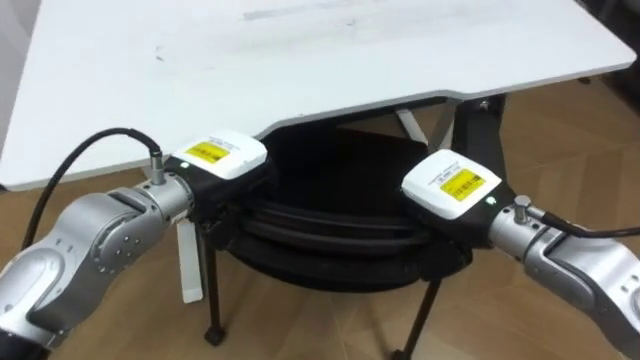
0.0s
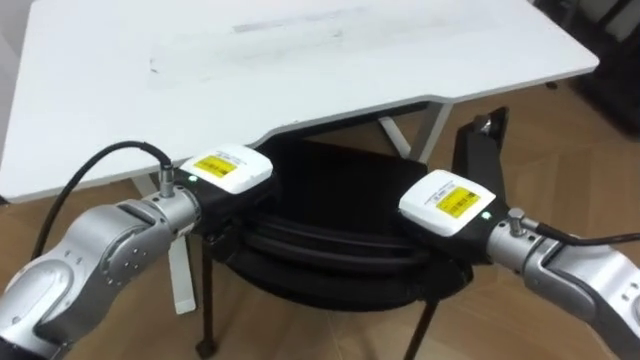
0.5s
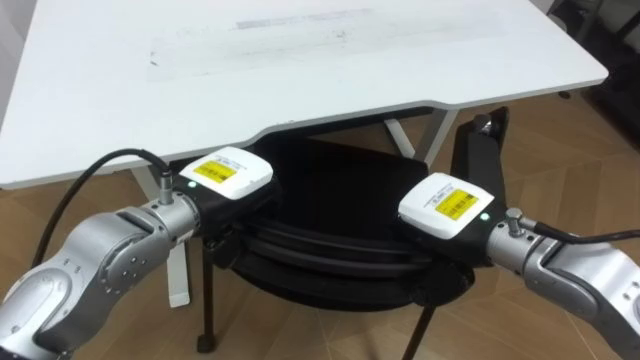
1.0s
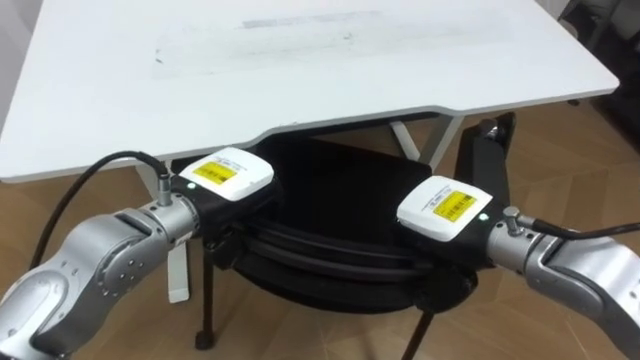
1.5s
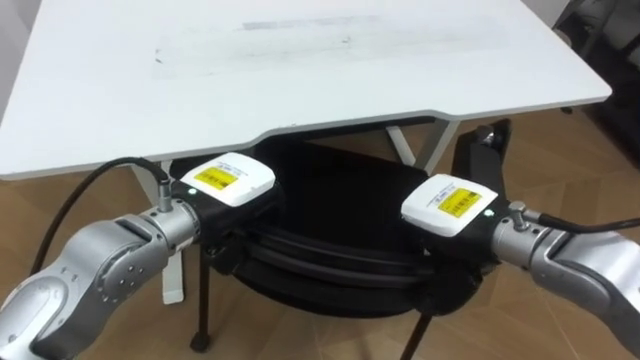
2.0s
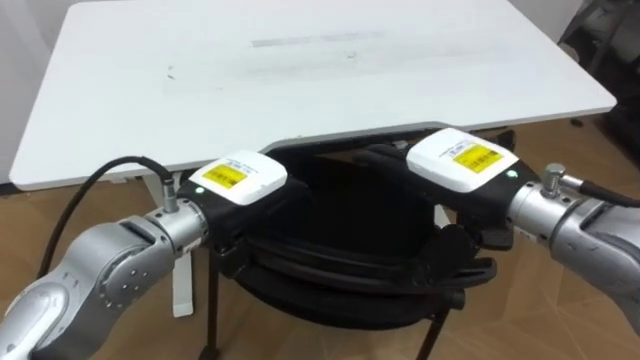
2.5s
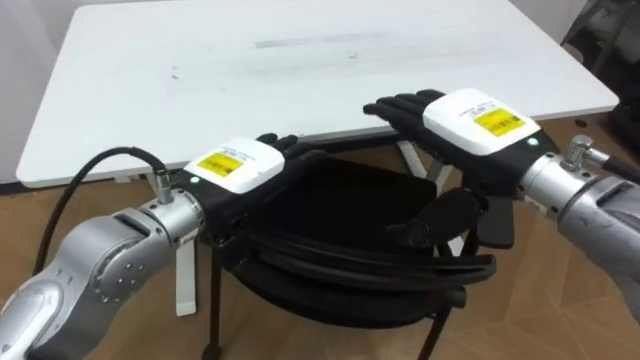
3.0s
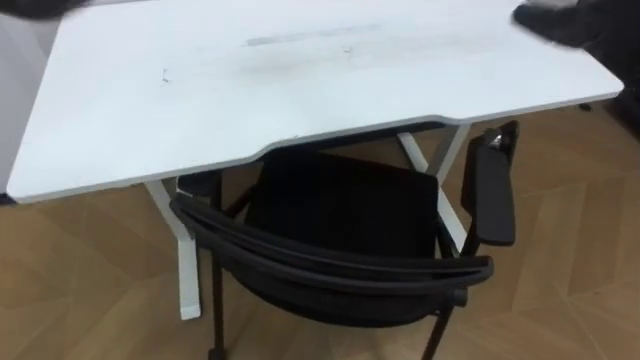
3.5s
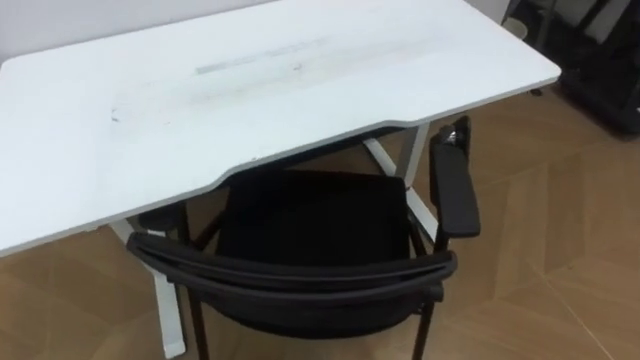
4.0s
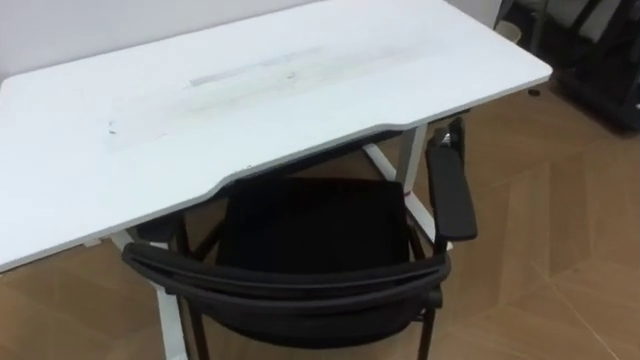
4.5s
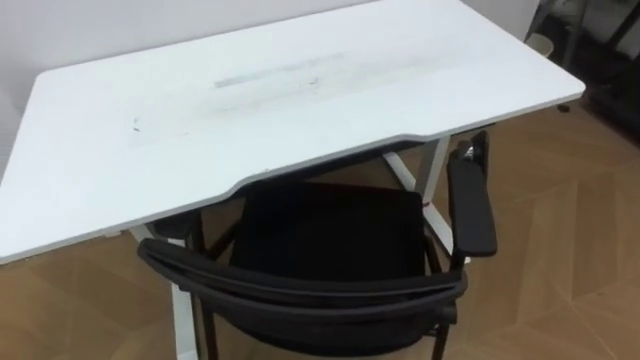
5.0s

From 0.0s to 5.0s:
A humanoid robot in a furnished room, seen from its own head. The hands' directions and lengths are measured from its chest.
Task of the whole recording: Push the chair under the table.
From 0.0s to 2.5s: The right hand opens its fingers; the left hand opens.

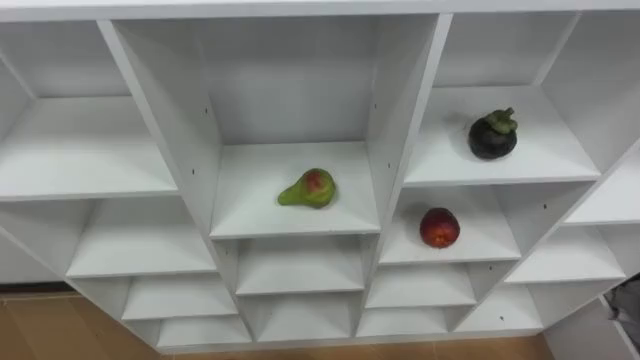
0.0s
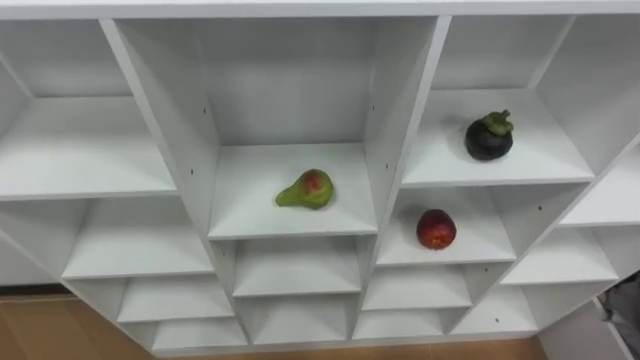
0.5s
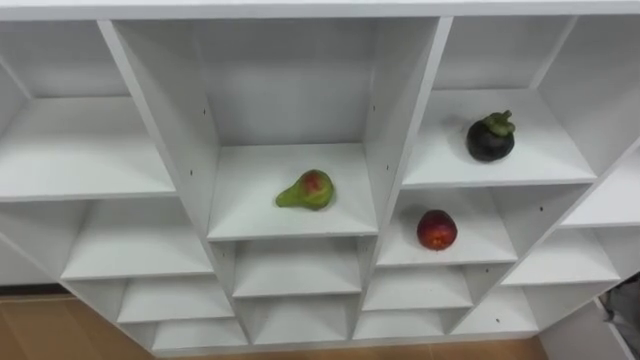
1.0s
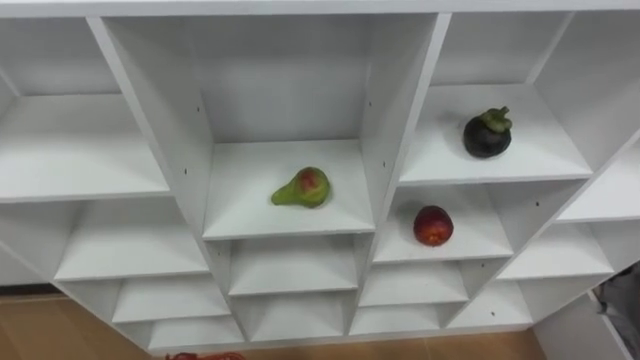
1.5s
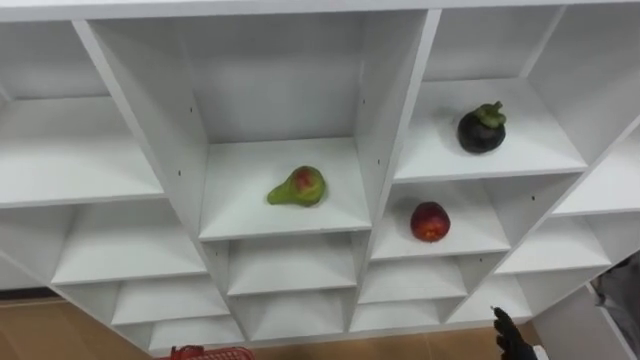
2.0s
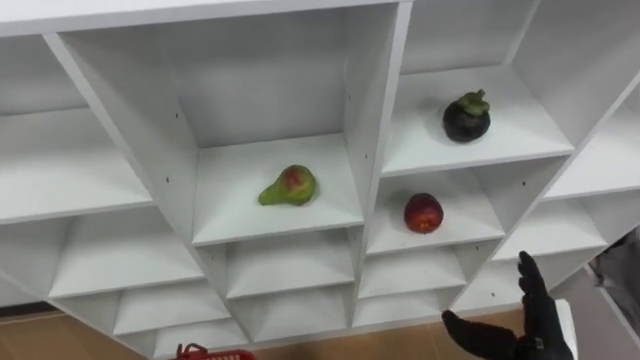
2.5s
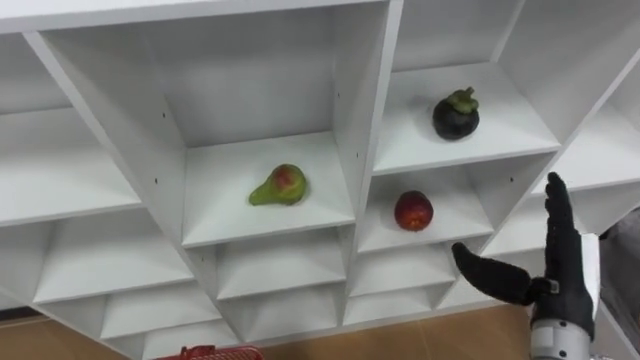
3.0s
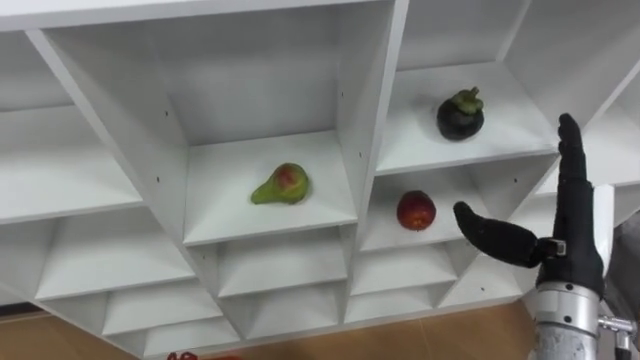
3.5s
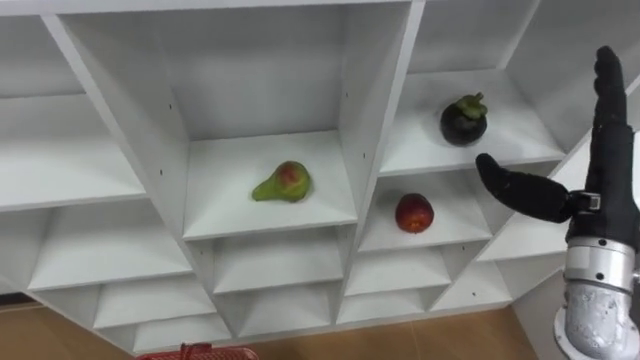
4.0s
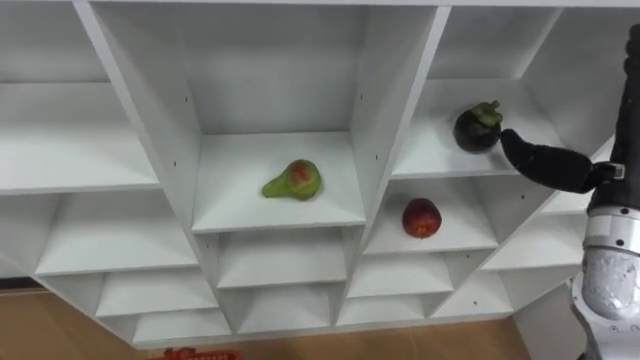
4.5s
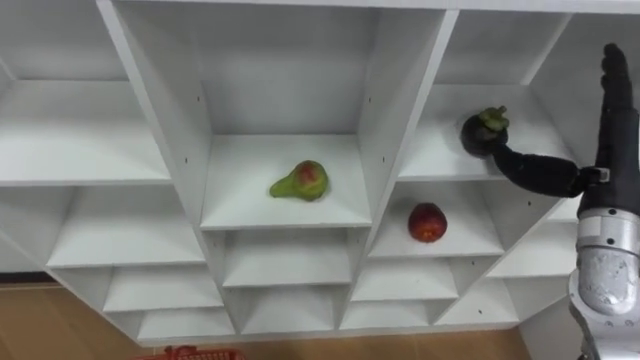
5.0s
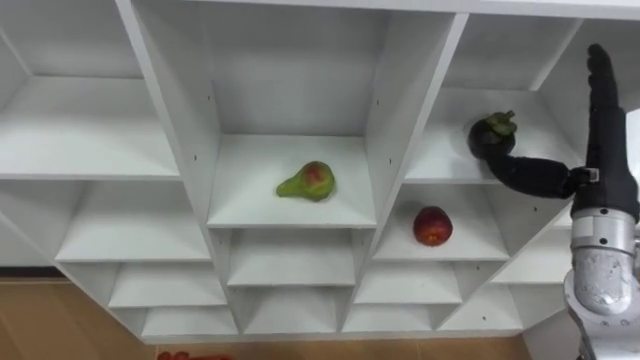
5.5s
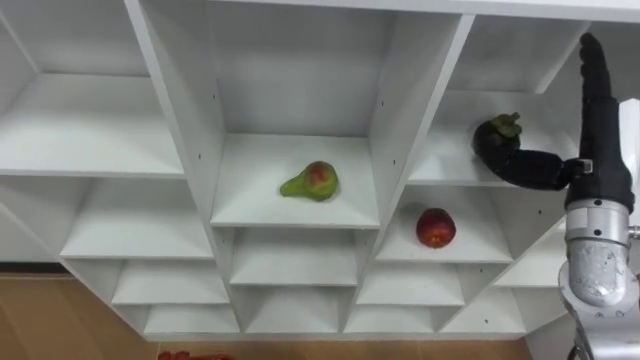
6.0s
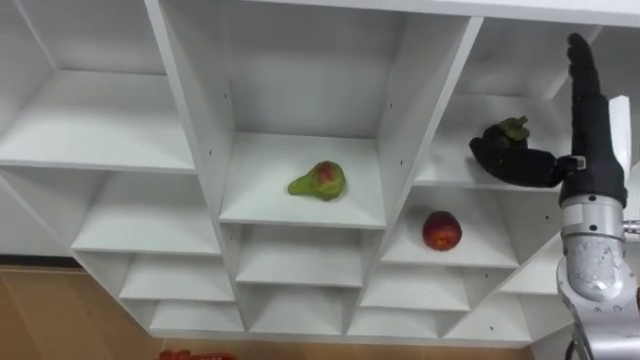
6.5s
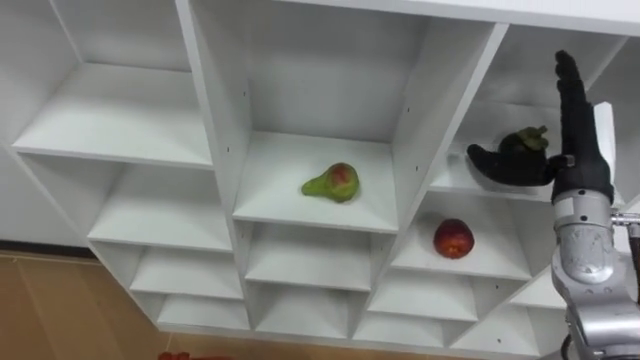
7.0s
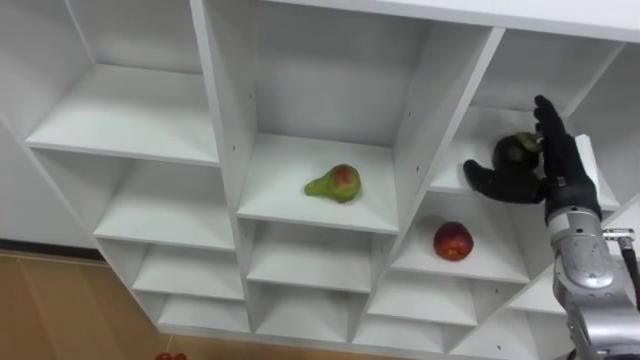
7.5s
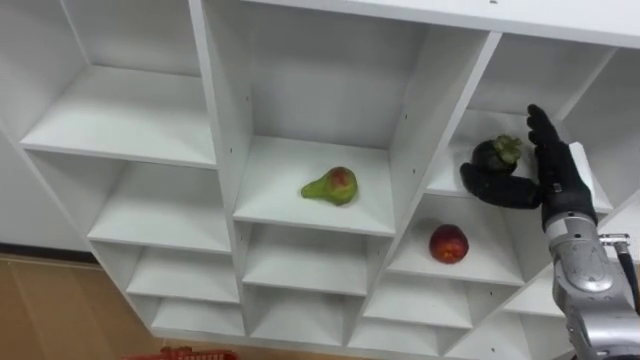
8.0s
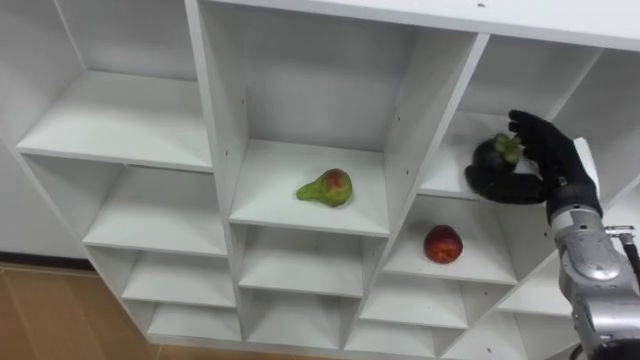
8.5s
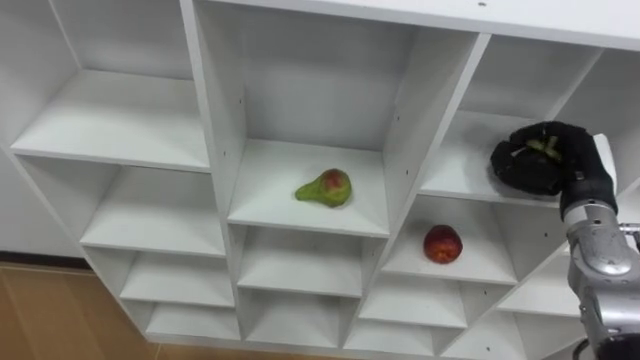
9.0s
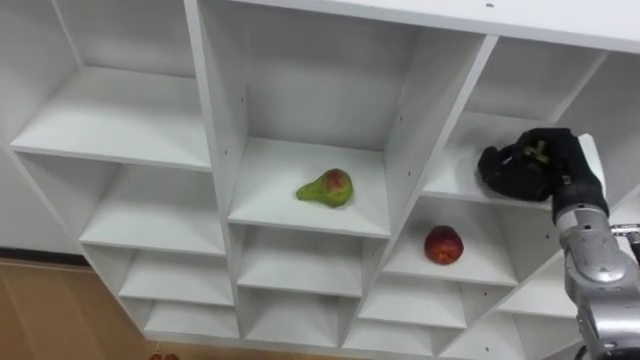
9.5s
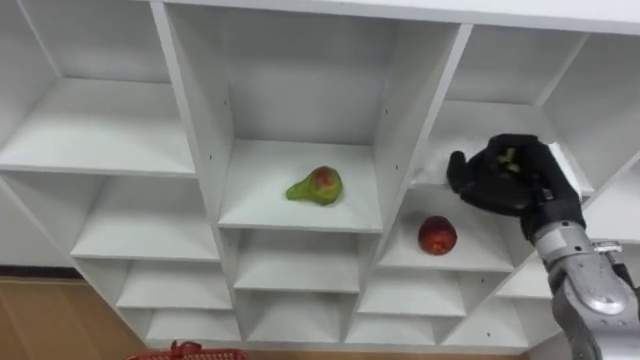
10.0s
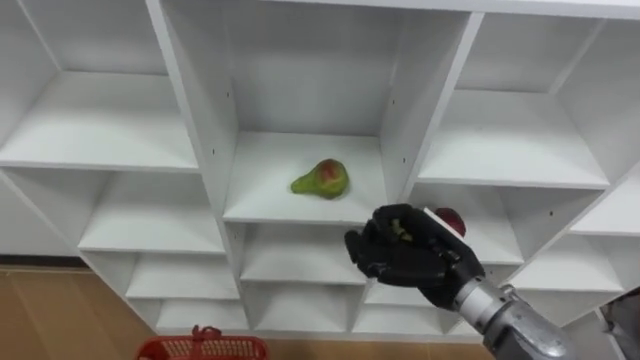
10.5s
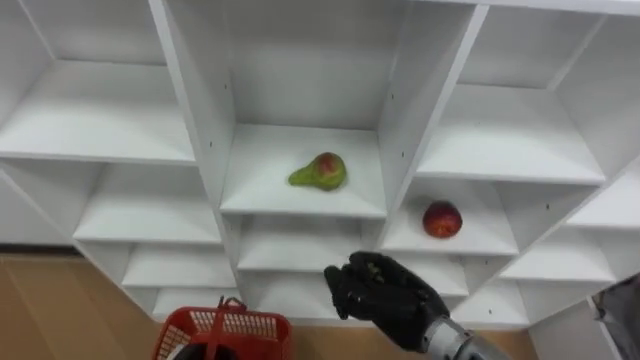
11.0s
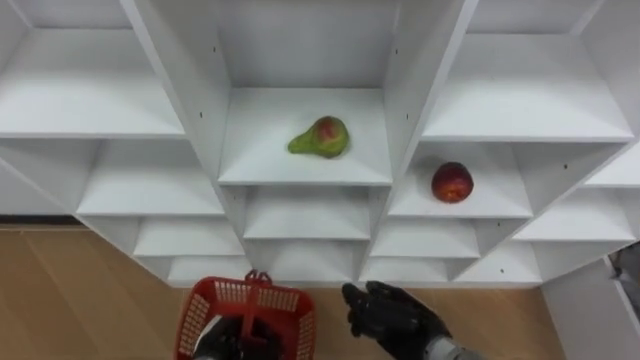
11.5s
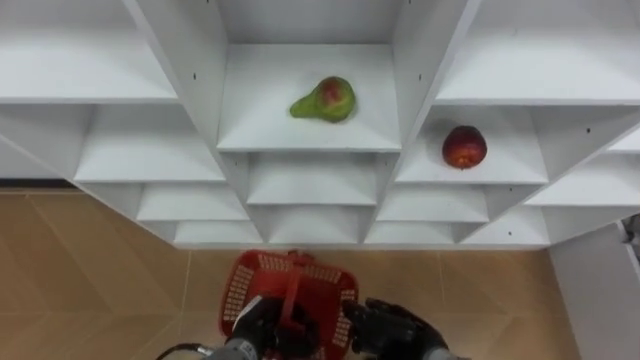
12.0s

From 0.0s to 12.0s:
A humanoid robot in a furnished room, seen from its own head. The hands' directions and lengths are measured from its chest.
Task of the whole recording: Hold the basket and collect the fruits from 3 different cells of the closet into it.
From 6.0s to 8.0s: The right hand moves downward, approximately 10 cm.
From 8.0s to 10.0s: The right hand closes.
From 10.0s to 12.0s: The right hand goes about 25 cm downward, to the left and backward.

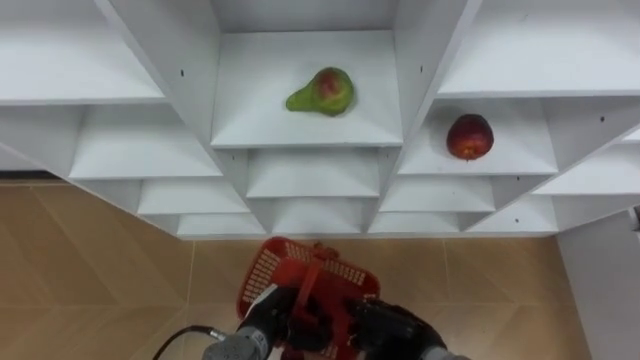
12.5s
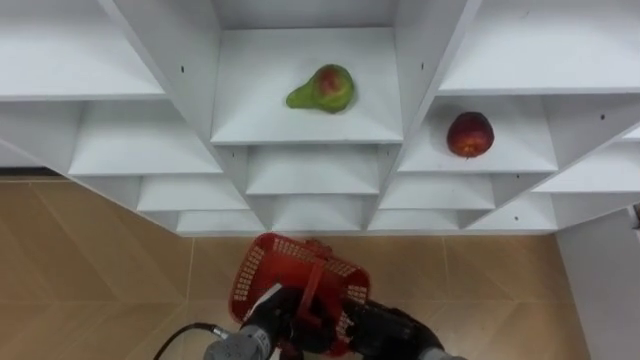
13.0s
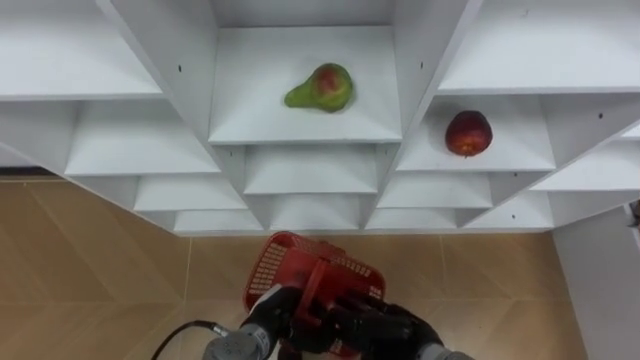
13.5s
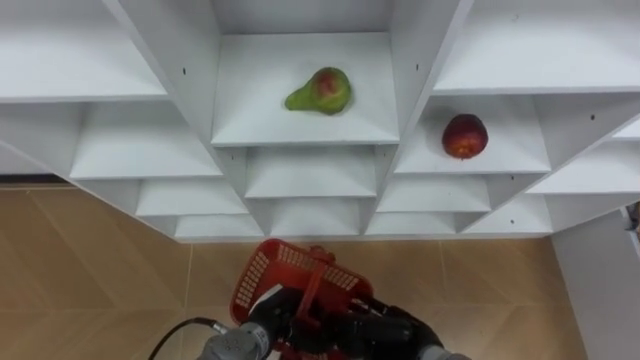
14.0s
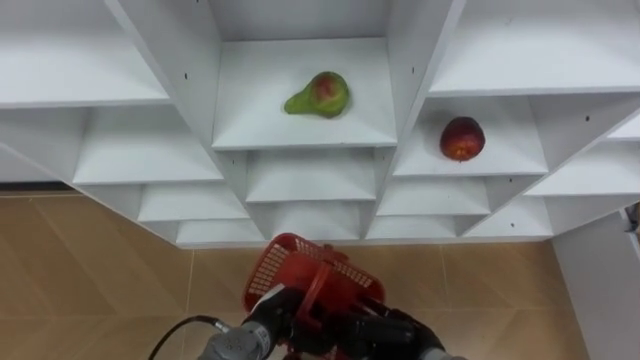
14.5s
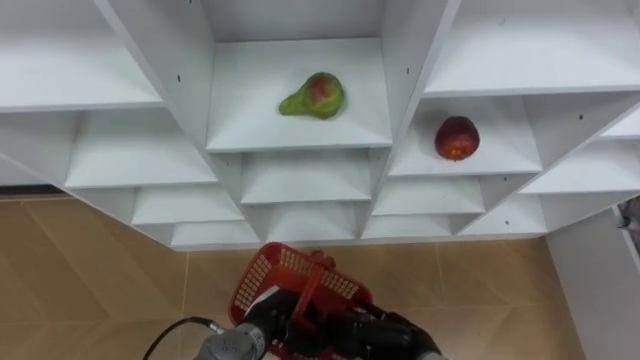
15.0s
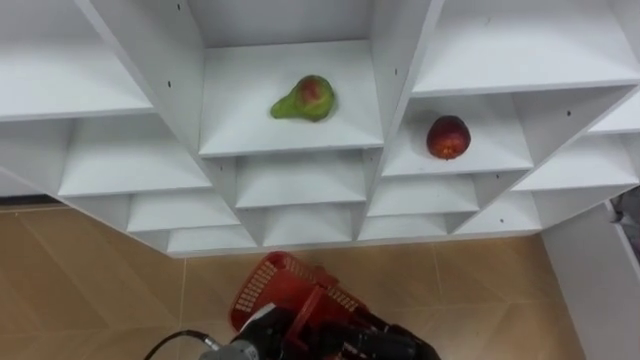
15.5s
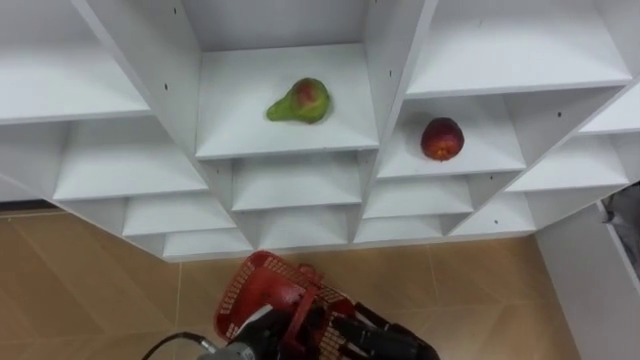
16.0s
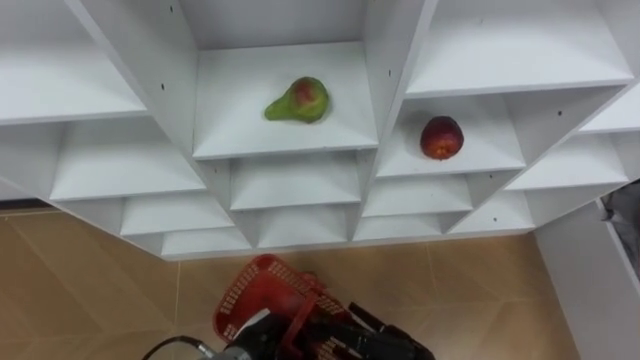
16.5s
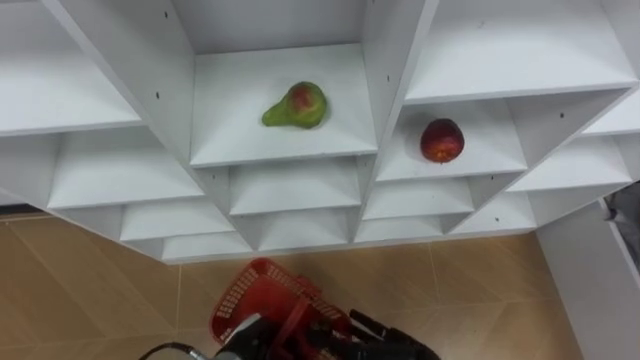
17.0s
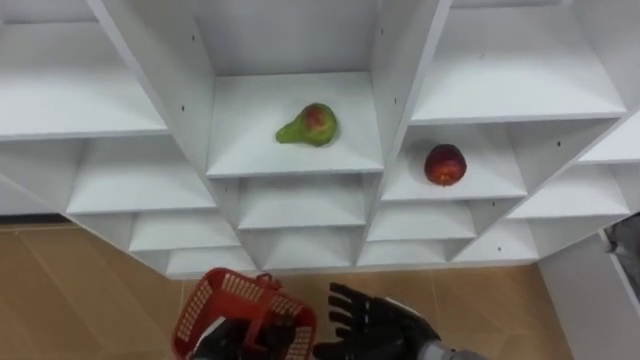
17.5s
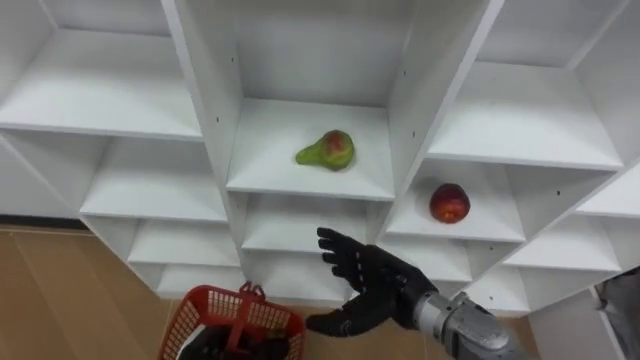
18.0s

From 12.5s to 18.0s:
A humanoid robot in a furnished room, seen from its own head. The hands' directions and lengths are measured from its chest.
Task of the whole recording: Hold the basket and collect the fruits from 3 different cells of the closet into it.
From 12.5s to 14.5s: The right hand opens.
From 16.0s to 18.0s: The left hand shifts approximately 10 cm to the left, while the right hand heads upward and forward, covering roughly 15 cm.
